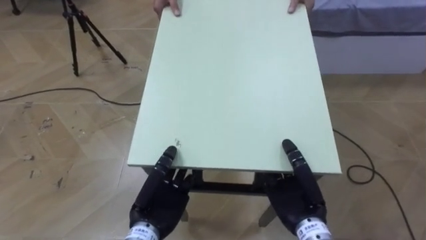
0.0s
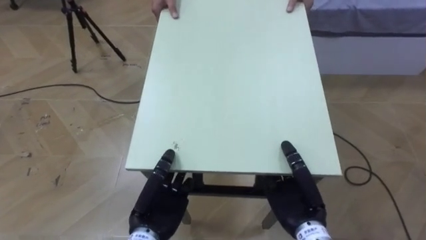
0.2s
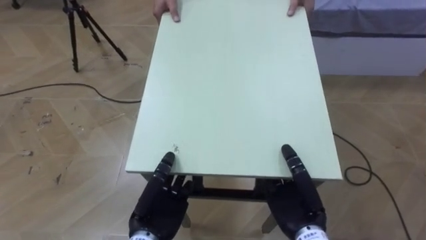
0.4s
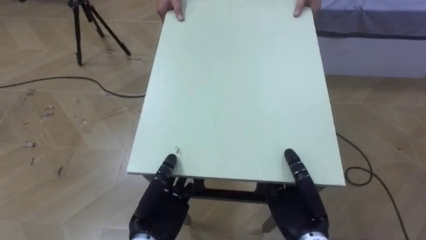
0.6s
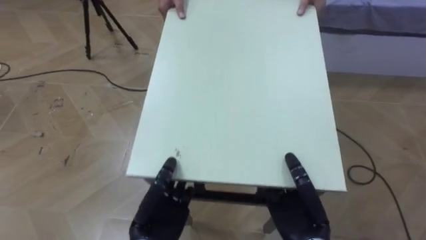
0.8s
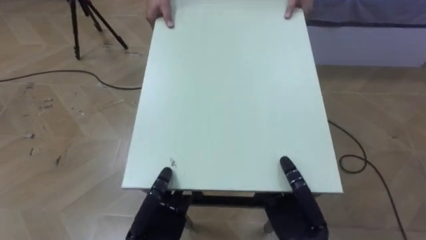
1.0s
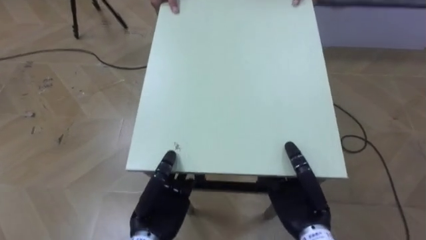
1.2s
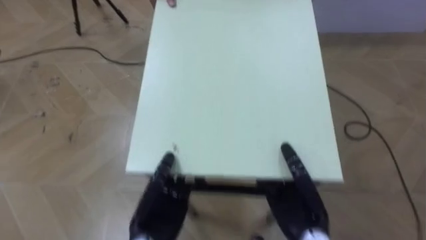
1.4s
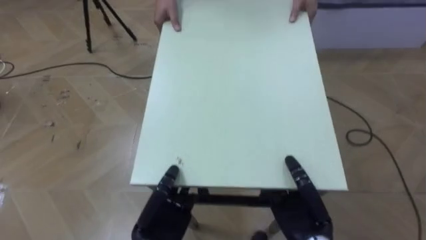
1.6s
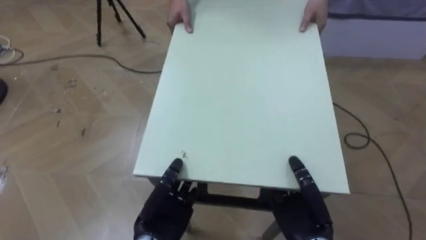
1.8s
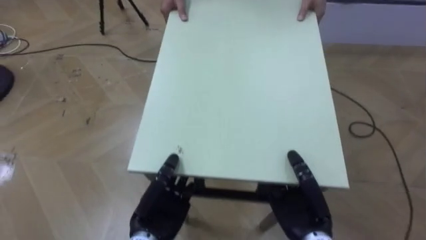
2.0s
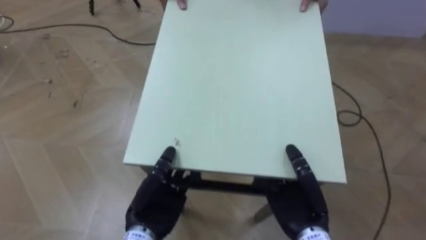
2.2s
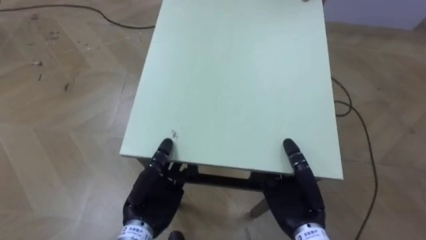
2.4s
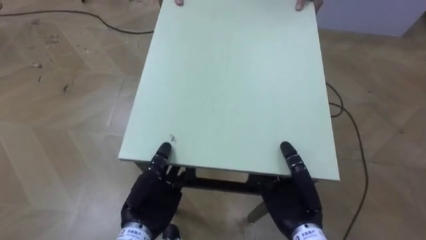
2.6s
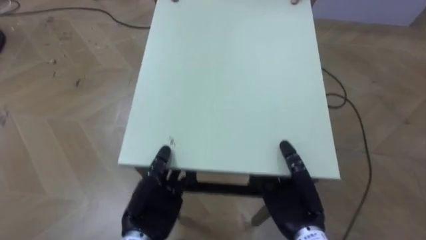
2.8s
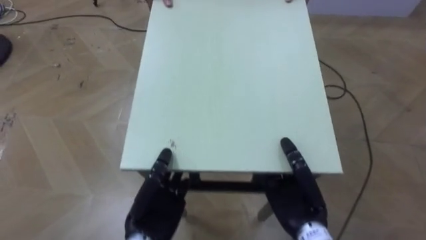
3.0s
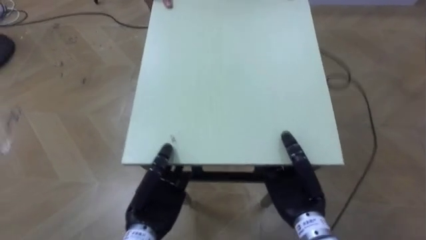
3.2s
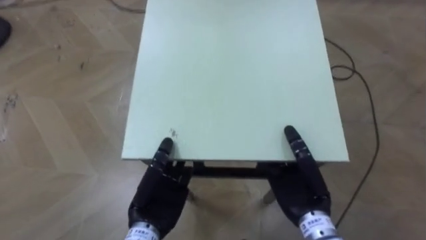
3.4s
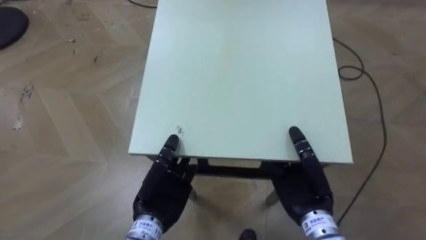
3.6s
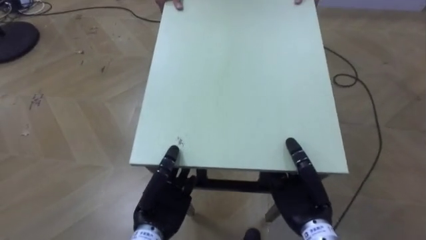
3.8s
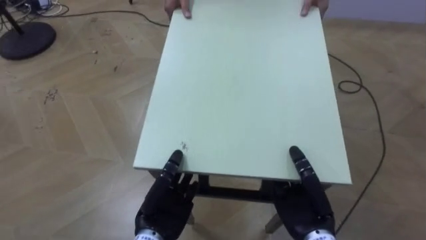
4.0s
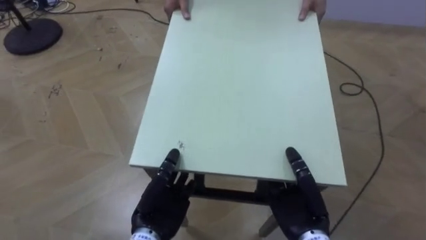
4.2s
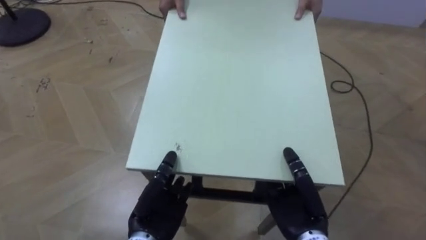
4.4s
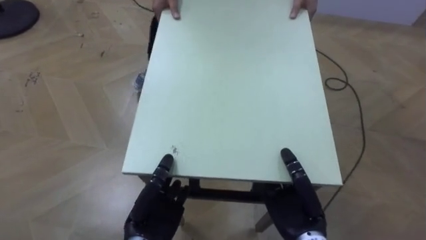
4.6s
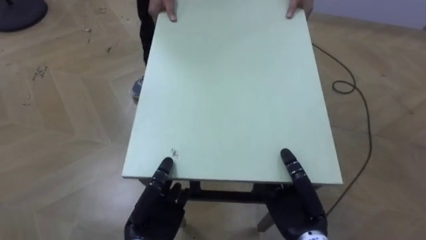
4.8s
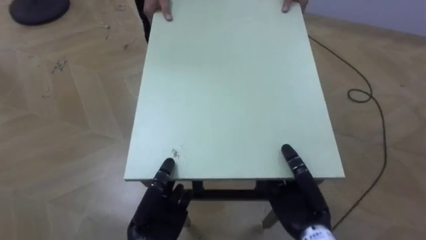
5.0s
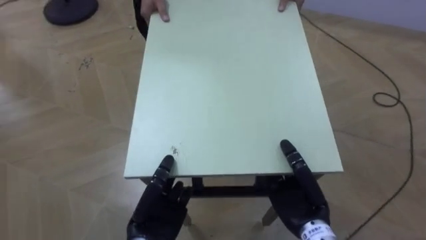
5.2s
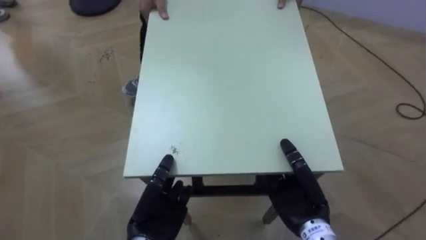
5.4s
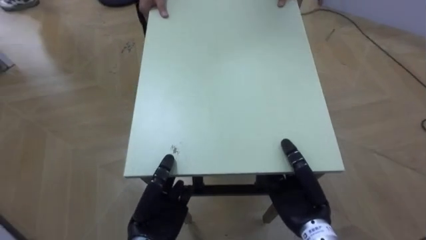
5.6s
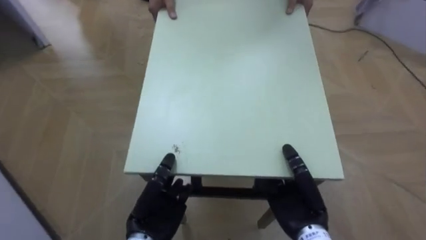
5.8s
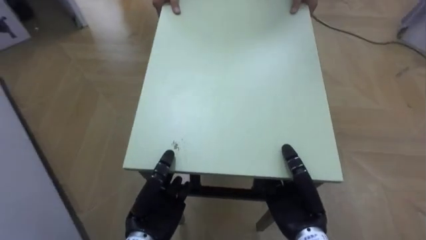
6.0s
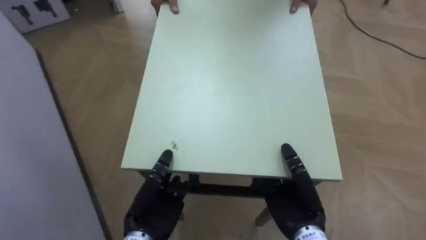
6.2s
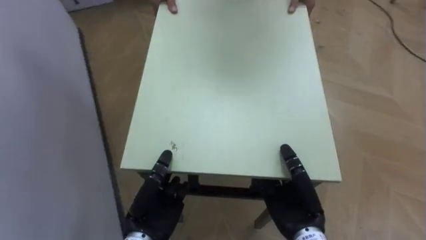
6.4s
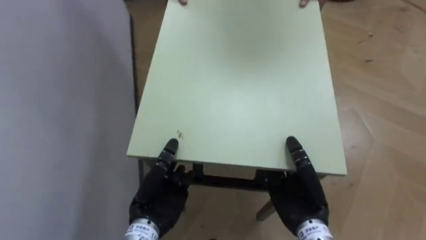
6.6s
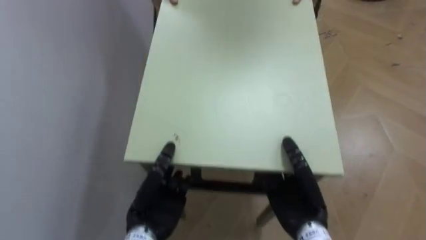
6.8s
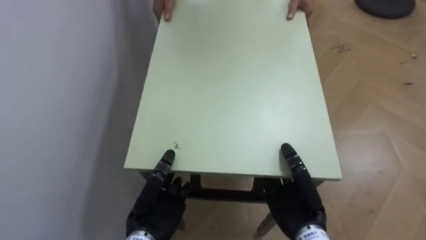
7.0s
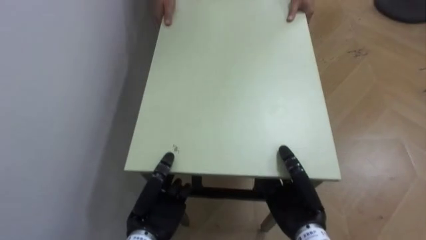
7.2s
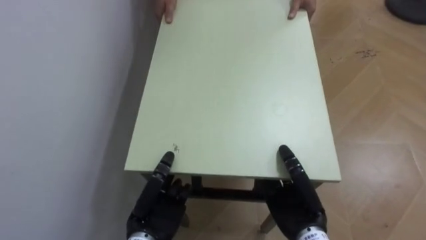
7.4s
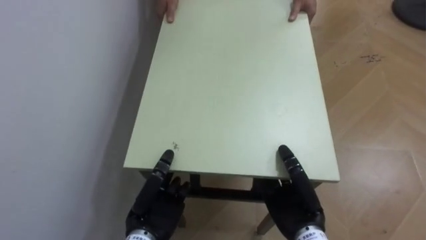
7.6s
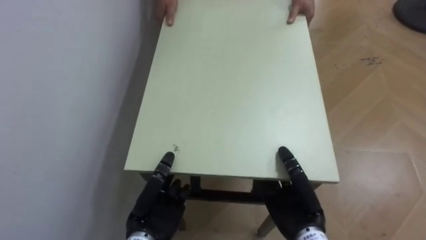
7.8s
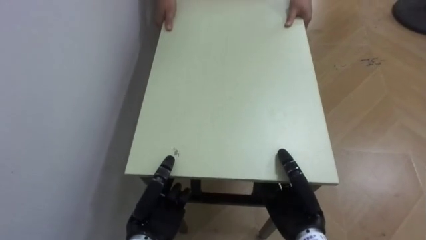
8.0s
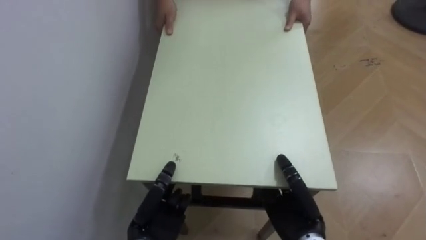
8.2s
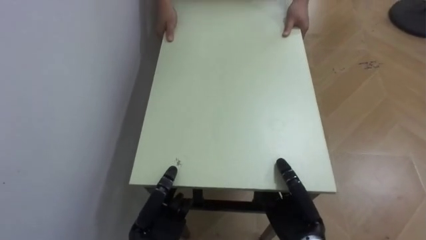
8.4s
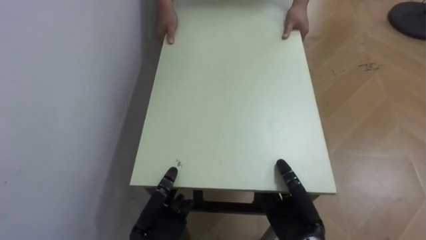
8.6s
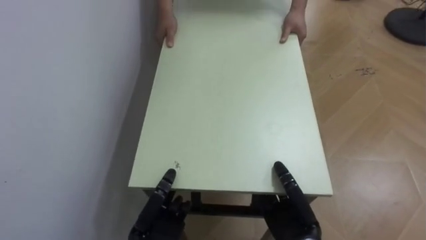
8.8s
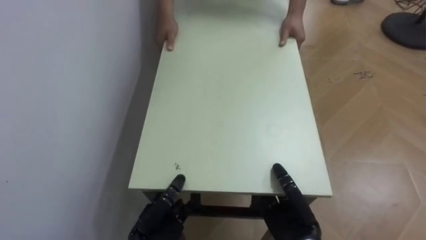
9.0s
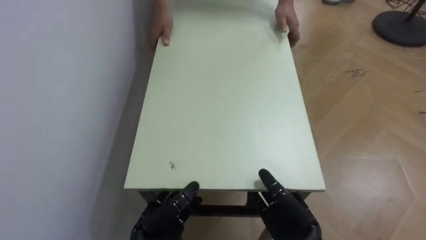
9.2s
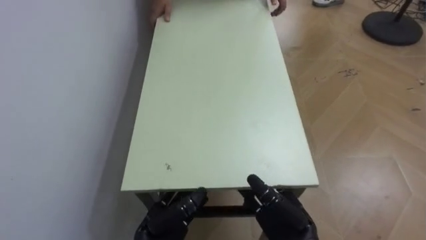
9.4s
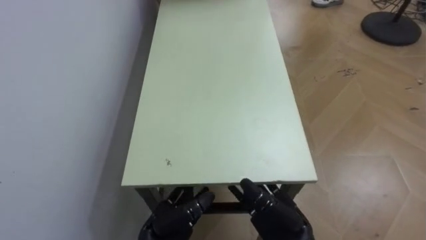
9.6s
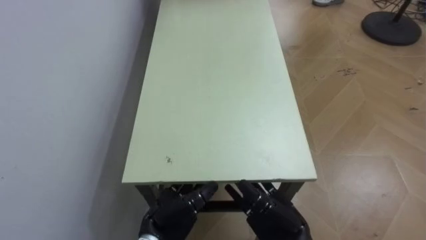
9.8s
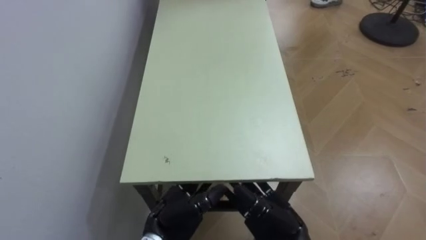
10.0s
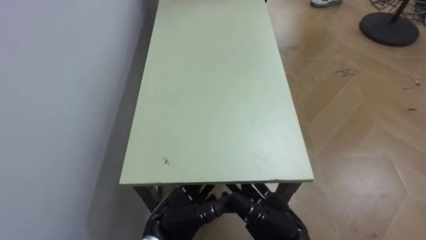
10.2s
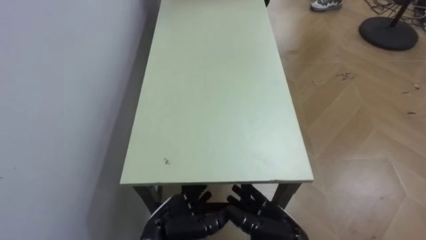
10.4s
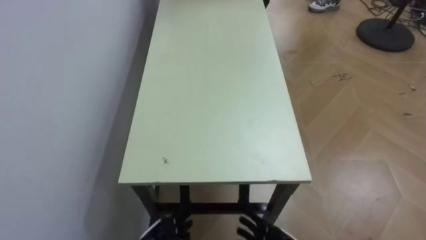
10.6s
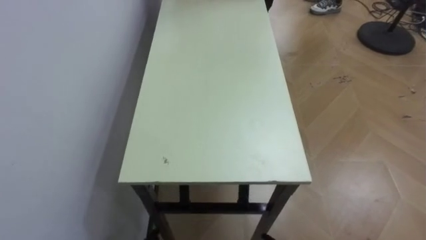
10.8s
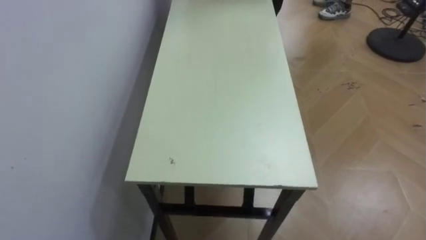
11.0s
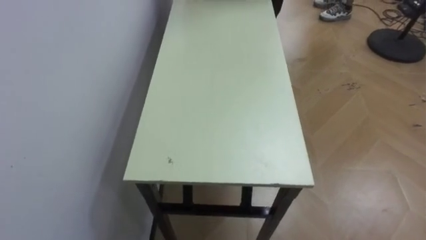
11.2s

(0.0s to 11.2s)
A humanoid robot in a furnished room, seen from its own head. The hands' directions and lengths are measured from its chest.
Task of the whole recording: Move the table to the back left with someone.
4.8s - 6.4s: The robot rotates roughly 50 degrees to its left.
6.4s - 8.0s: The robot's body swings about 30 degrees to its left.
8.0s - 9.6s: The right hand opens its fingers. The left hand opens.

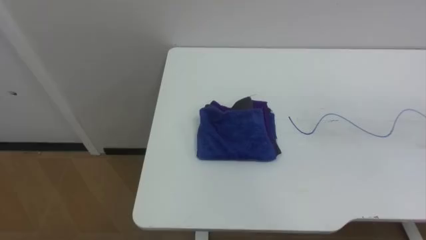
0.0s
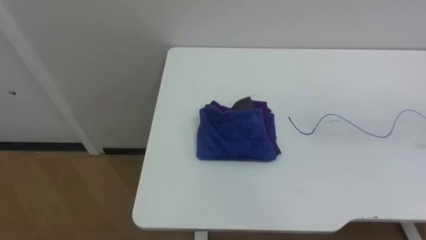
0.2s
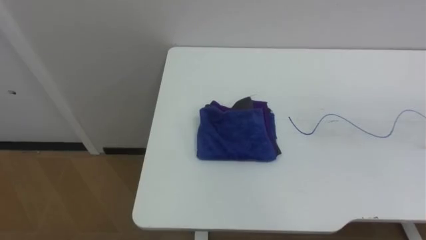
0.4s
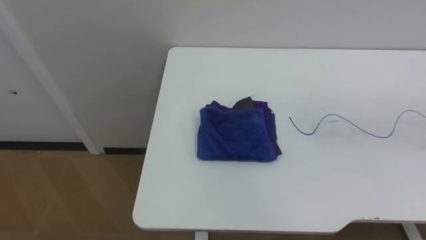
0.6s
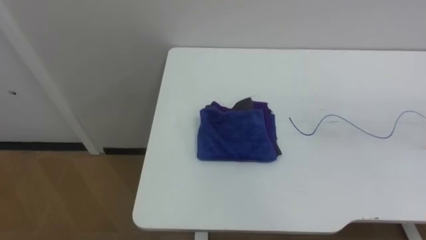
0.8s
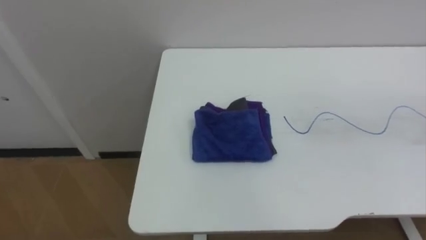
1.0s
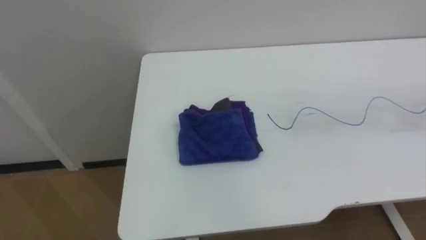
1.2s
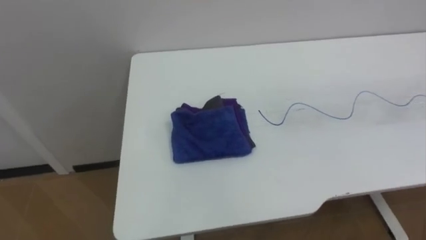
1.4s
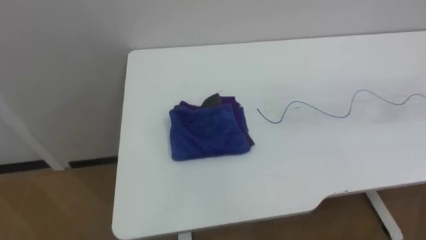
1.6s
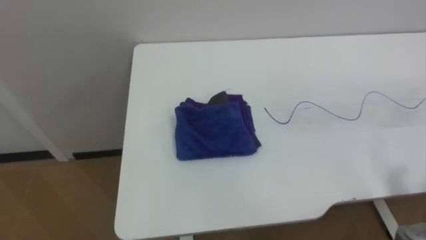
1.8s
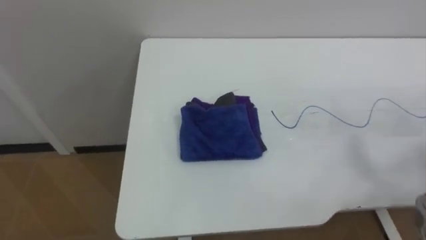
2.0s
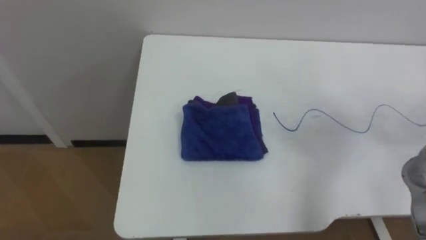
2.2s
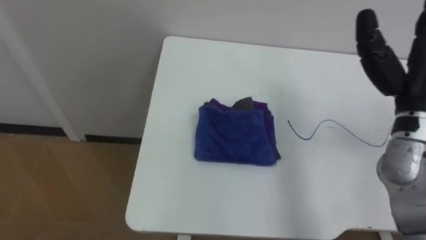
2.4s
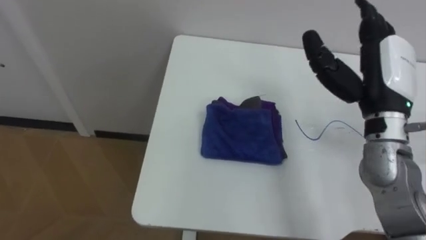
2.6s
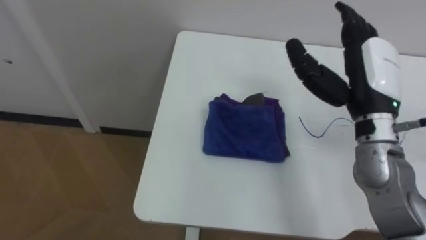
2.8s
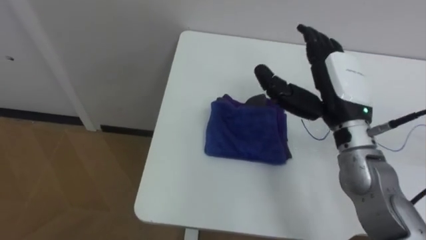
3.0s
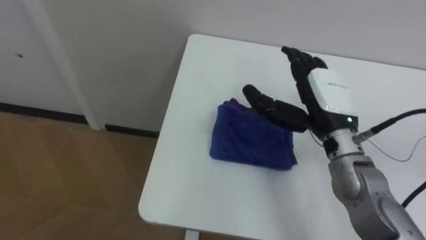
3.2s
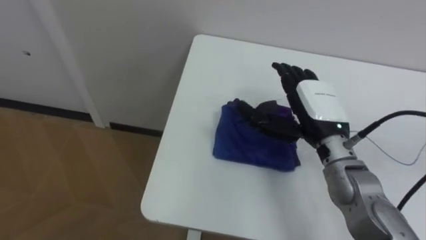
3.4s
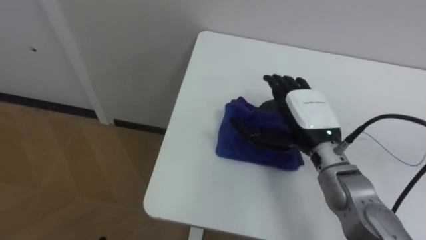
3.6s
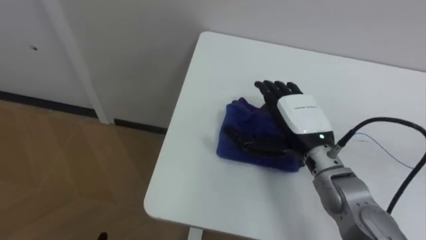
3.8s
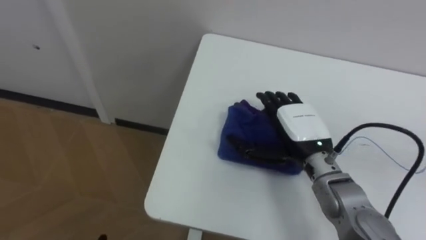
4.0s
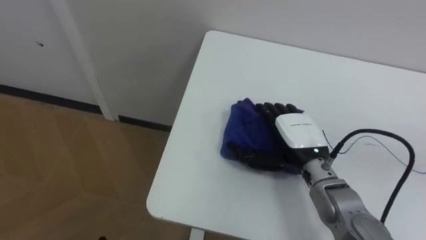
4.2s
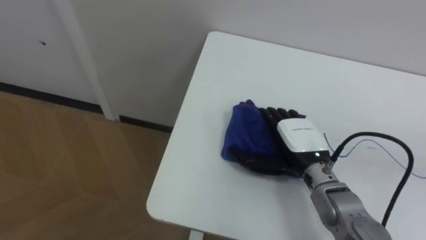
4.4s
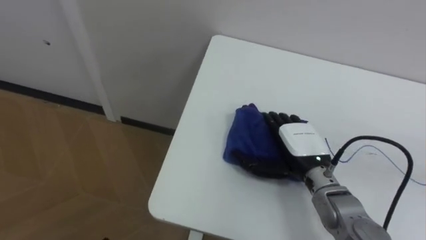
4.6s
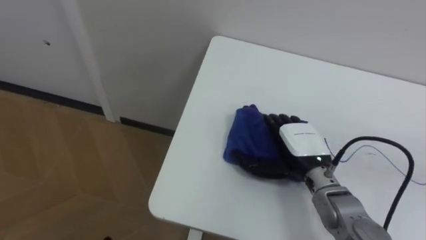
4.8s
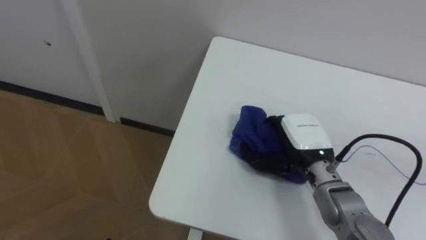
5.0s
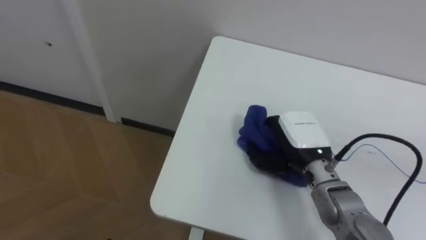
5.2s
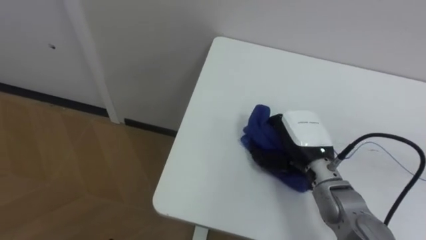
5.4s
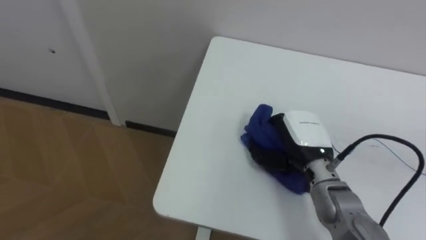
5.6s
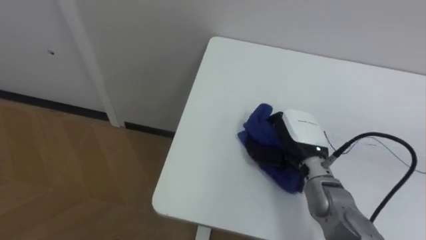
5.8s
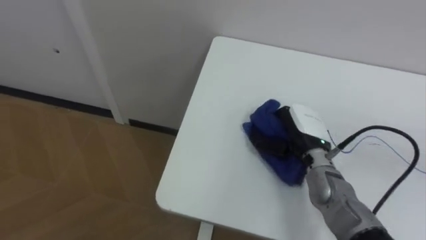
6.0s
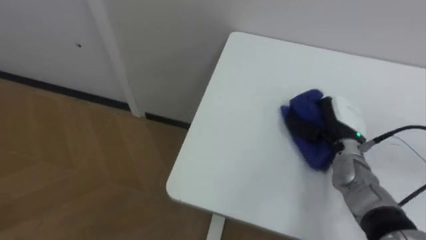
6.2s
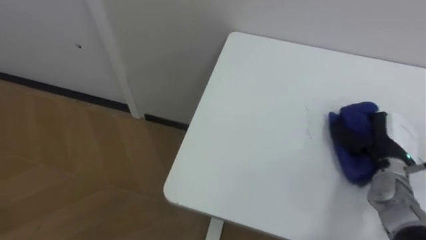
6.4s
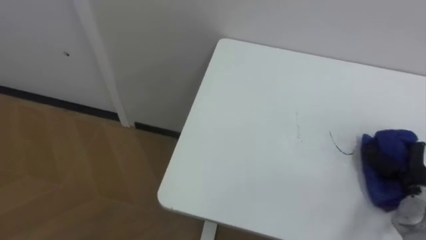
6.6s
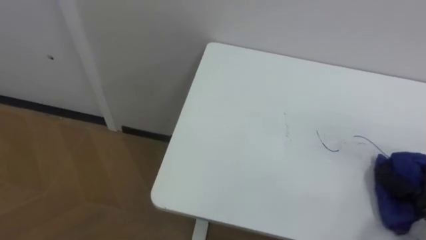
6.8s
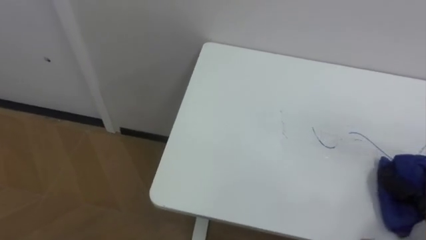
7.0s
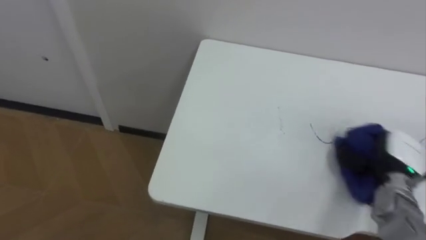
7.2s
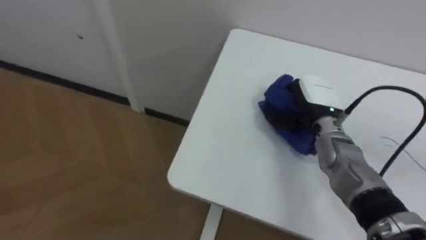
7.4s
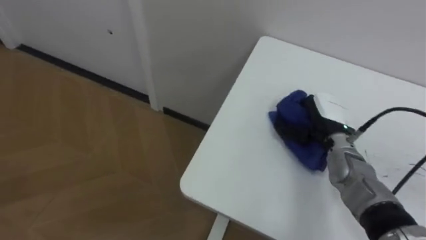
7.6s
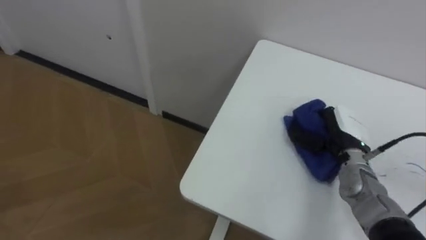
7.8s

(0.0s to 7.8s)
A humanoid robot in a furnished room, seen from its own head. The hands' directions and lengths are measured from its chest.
Task of the whole recording: Wipe the blue pen marks off the table with the rag.
3.2s - 4.6s: The right hand shifts some 10 cm downward.
4.6s - 6.2s: The right hand travels to the right by about 10 cm, and closes its fingers.
